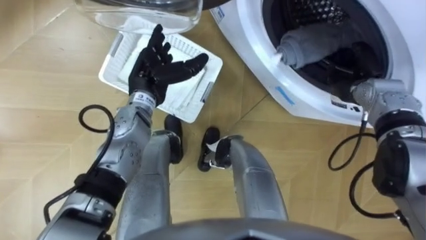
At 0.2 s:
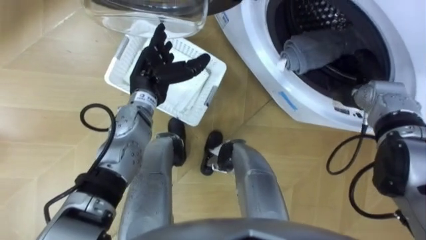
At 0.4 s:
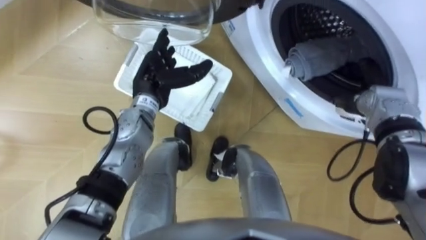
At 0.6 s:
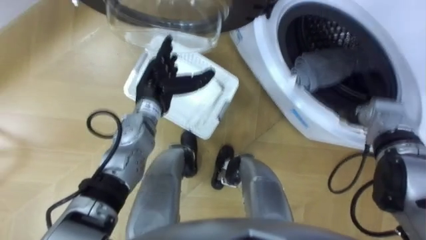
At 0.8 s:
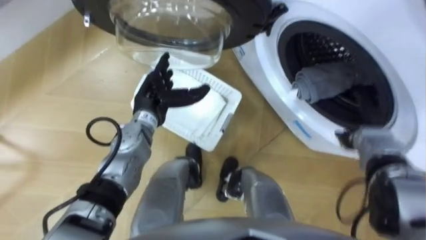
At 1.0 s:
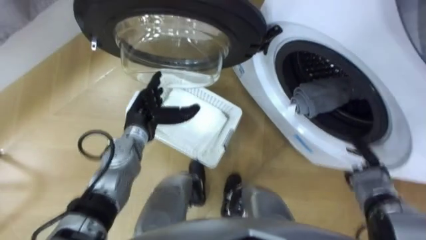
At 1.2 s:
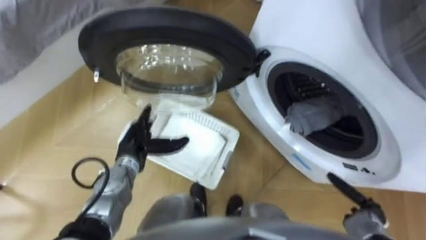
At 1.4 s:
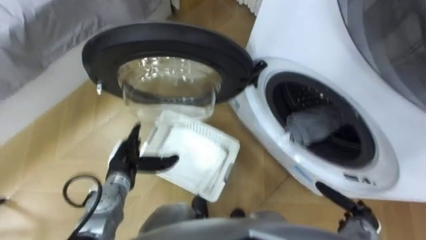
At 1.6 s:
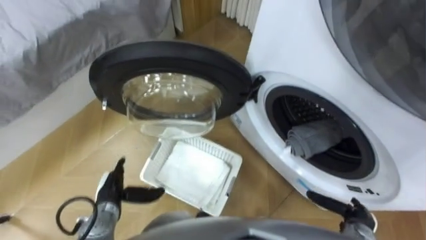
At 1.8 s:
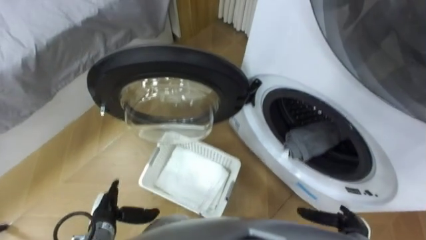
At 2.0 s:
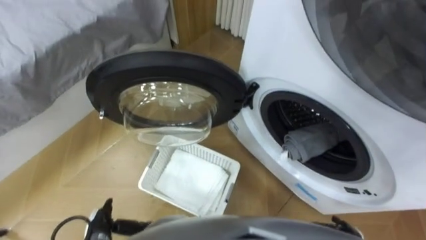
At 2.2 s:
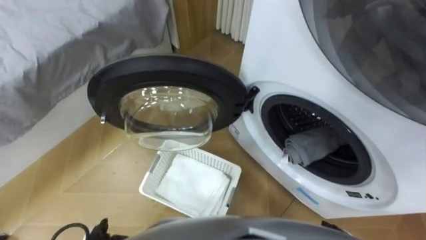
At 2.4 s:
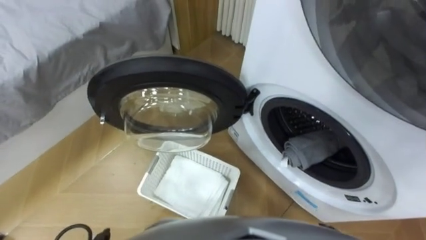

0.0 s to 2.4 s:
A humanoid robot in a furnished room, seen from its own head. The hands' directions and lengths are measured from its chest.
Task of the whole recording: Take the towel from the basket and put it into the washing machine.
0.0 to 1.2 s: The right hand travels backward and downward by roughly 30 cm. The left hand moves downward and backward, approximately 15 cm.

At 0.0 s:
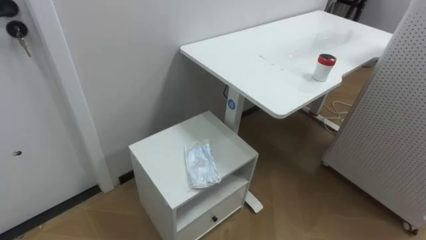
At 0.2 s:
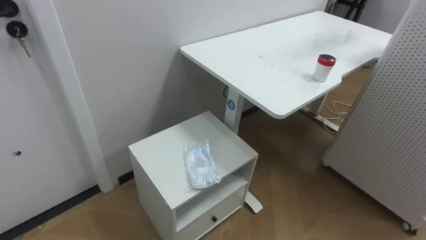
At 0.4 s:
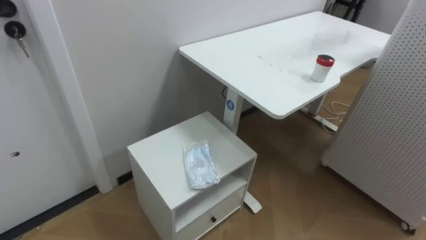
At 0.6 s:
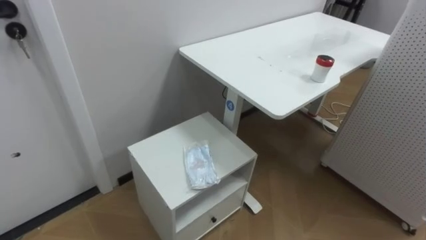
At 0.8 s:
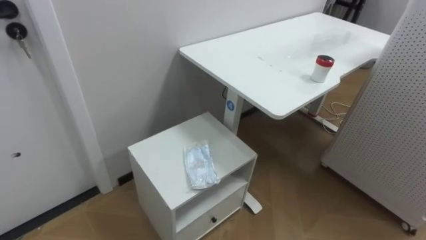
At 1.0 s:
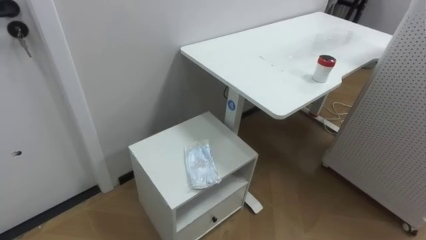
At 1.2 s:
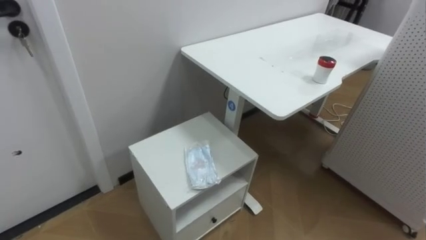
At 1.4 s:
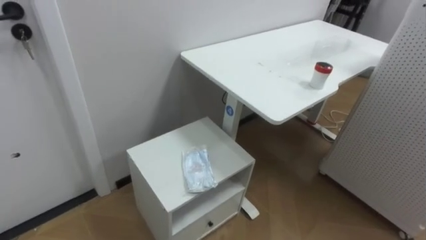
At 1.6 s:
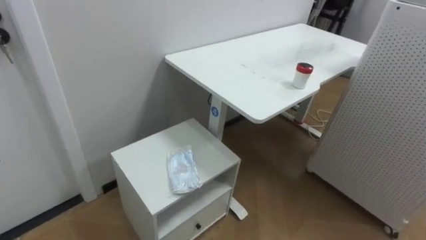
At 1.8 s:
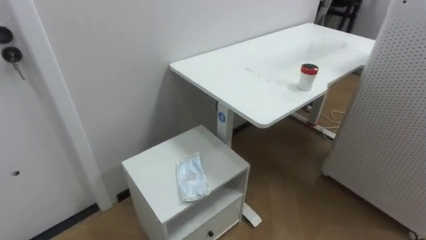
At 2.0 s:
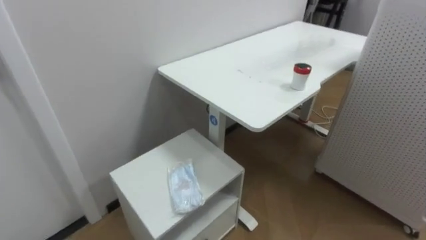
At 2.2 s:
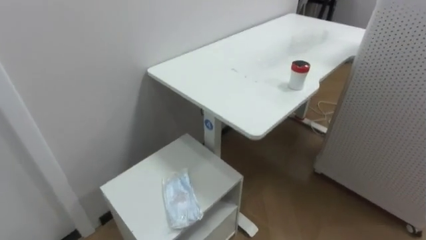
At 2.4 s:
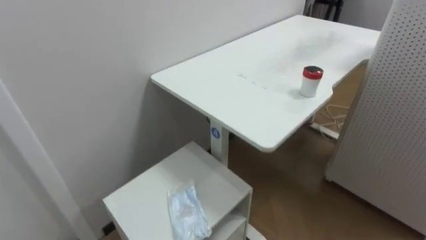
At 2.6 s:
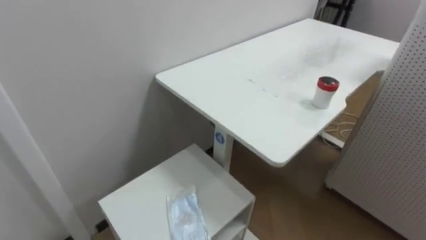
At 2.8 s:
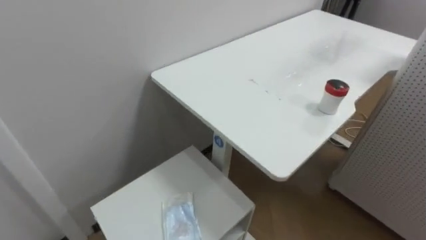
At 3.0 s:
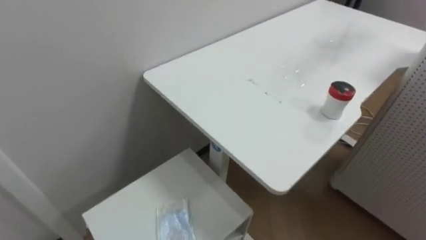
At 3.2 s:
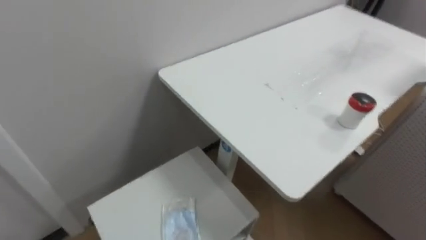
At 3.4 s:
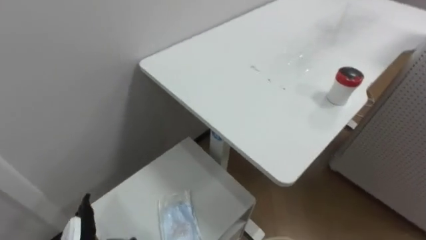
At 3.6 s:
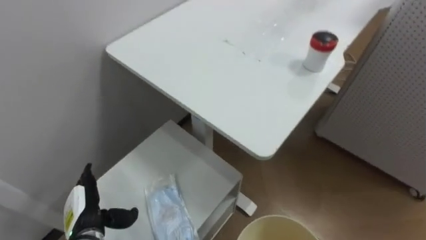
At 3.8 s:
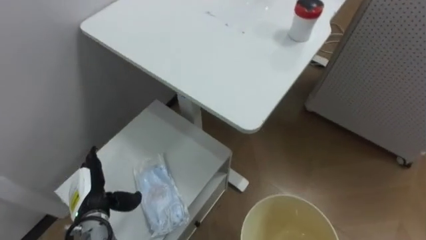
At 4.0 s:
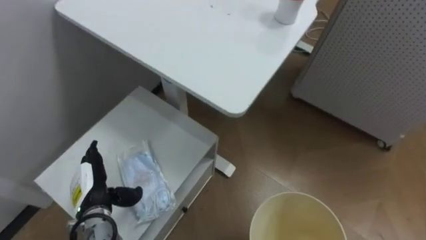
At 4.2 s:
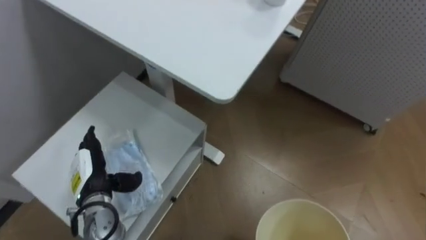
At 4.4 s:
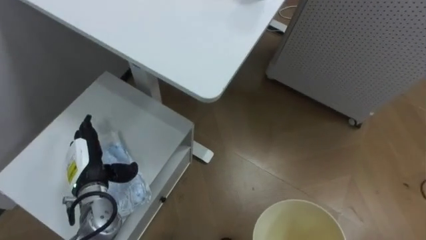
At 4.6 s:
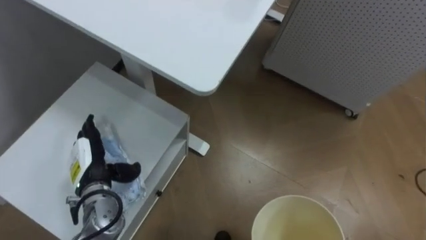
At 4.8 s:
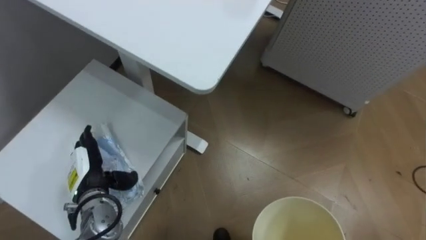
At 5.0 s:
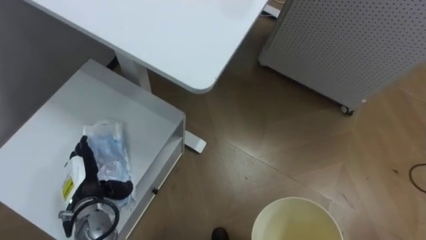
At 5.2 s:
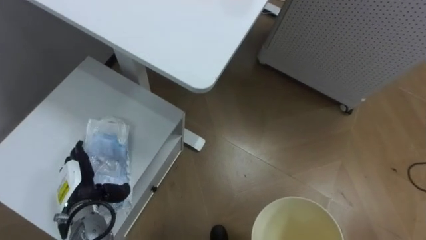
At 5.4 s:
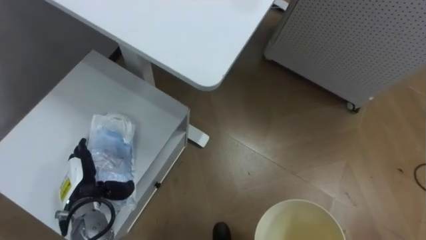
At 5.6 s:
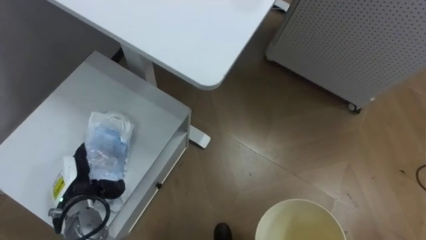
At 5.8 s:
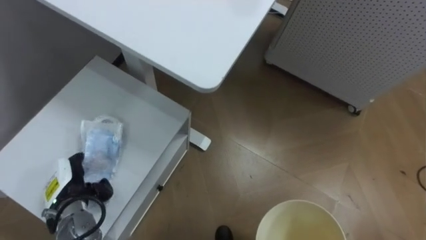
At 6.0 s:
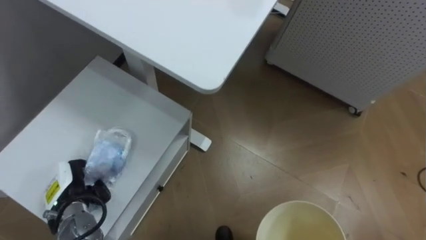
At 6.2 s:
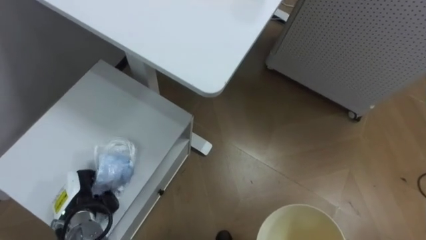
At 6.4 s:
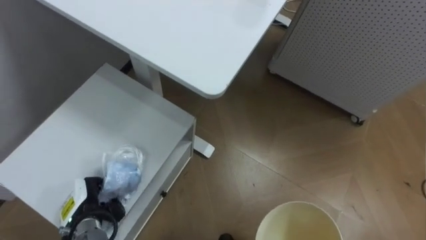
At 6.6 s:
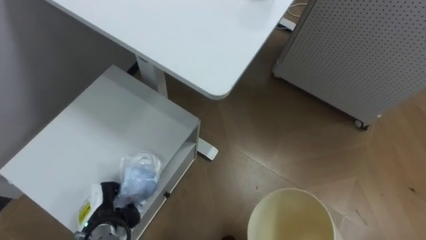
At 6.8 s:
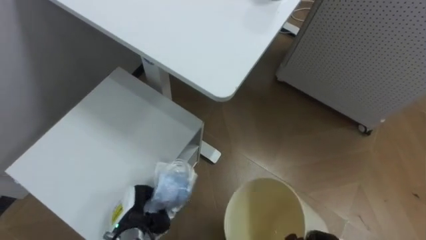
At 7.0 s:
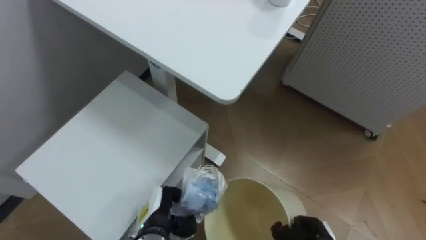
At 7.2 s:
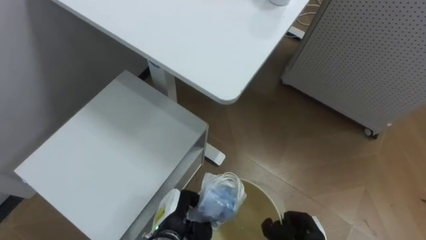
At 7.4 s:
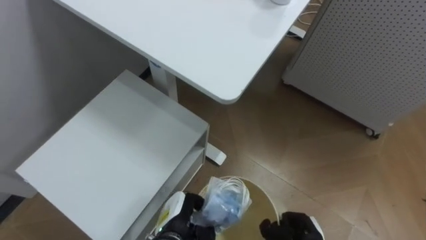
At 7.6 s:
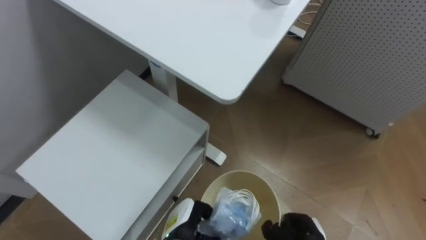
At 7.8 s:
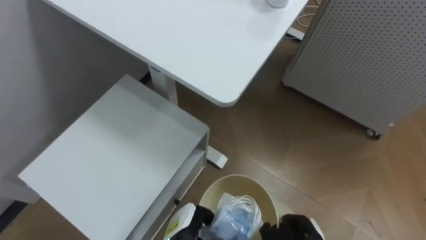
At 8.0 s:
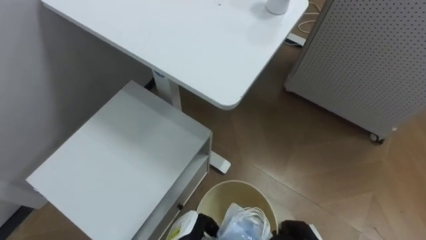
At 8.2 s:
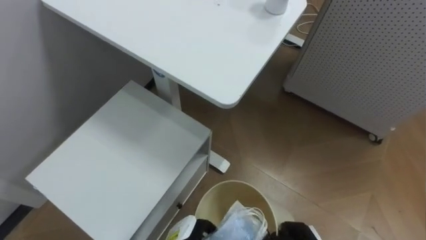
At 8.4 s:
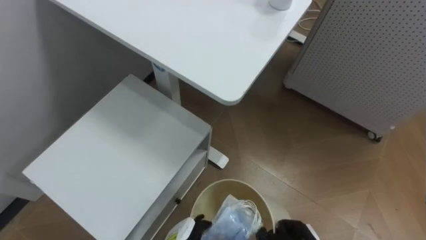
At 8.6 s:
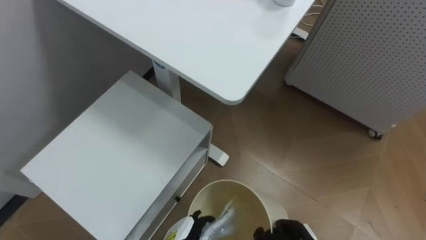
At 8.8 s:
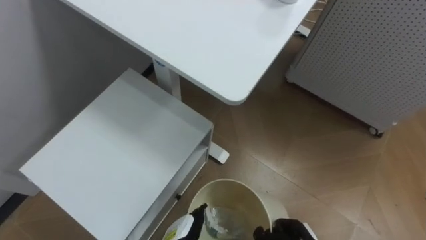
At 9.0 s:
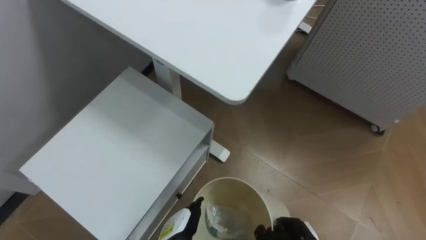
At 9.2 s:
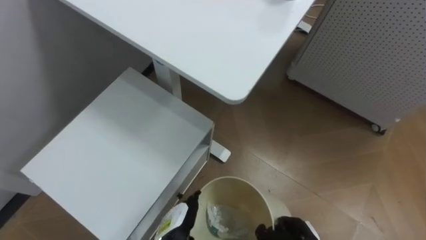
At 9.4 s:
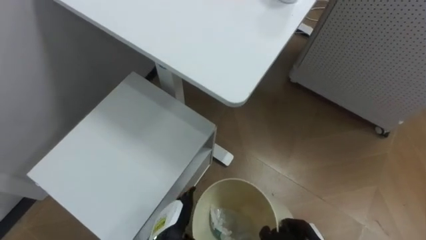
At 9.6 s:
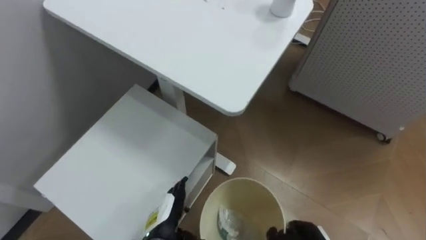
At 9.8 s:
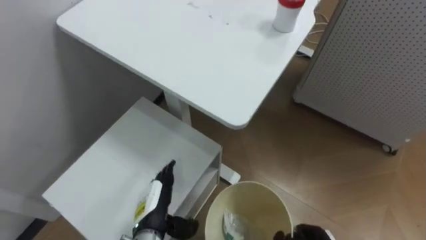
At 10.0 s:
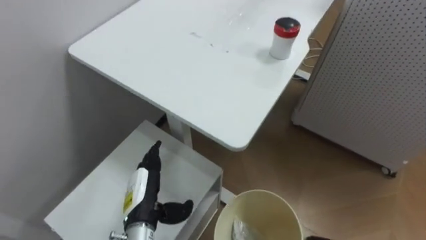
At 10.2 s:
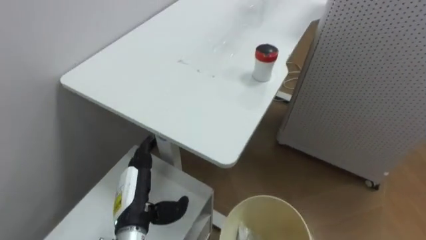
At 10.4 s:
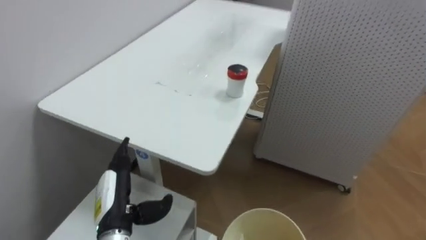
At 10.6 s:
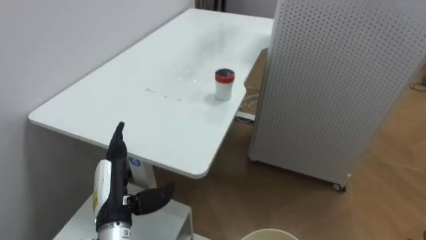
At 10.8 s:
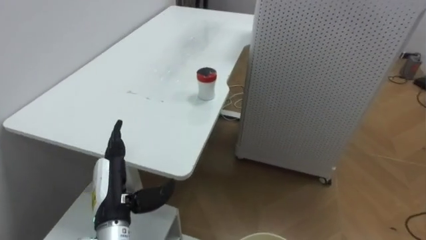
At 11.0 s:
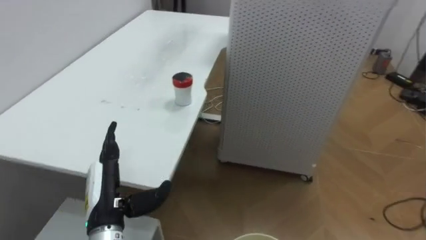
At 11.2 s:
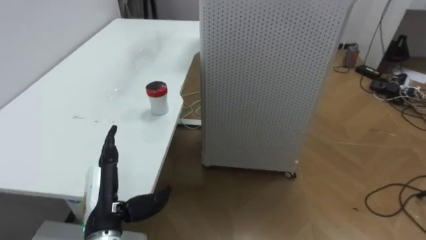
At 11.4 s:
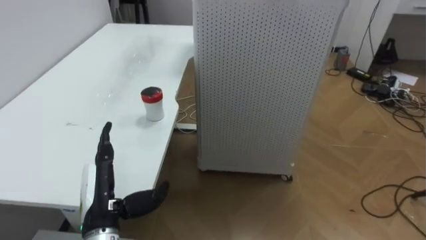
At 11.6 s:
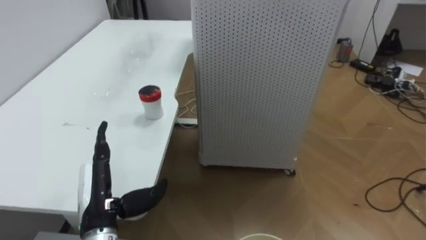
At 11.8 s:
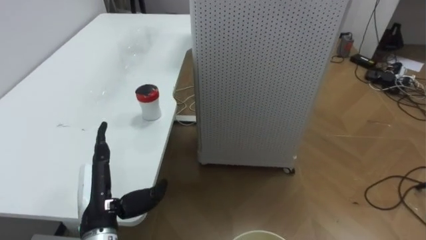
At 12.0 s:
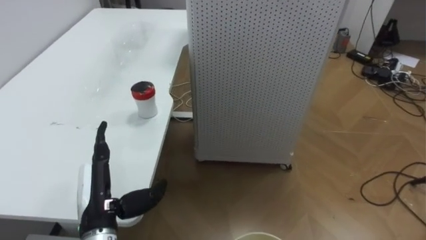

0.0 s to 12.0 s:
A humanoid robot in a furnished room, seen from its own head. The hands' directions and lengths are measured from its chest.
Task of the whole recording: Pick up the light blue package, the candy box, and the dark blue package separately, and put them into the trash can held in your right hand.
4.4 to 6.0 s: The left hand shifts by approximately 5 cm, and closes up.
6.0 to 7.6 s: The left hand goes approximately 25 cm to the right.
9.0 to 10.4 s: The left hand goes about 15 cm to the left and upward.
10.4 to 12.0 s: The robot faces roughly 25 degrees further to its right.

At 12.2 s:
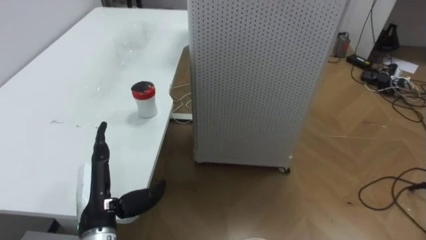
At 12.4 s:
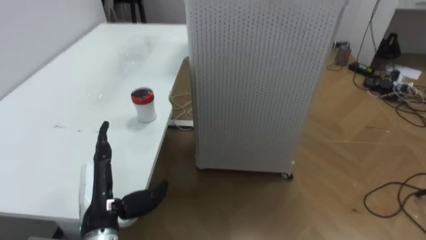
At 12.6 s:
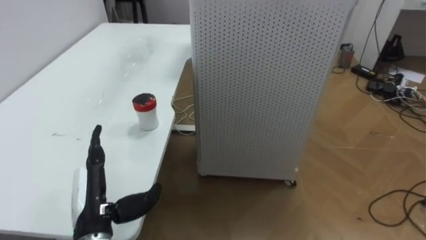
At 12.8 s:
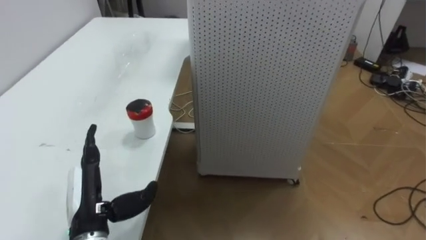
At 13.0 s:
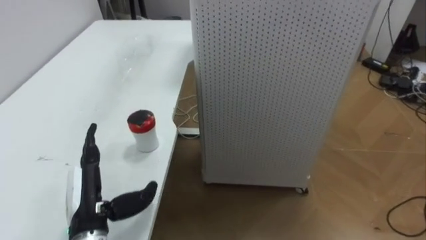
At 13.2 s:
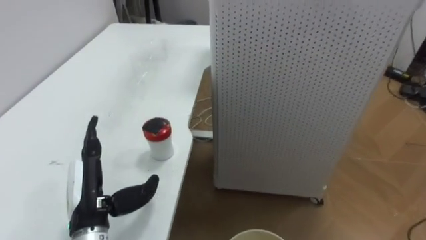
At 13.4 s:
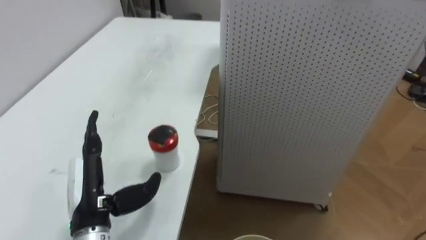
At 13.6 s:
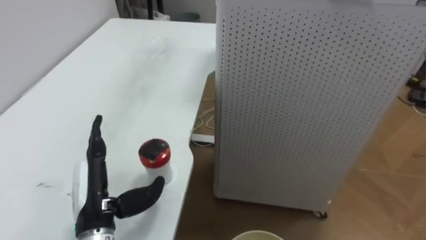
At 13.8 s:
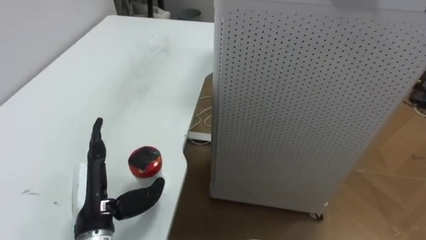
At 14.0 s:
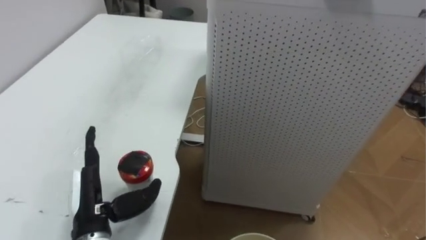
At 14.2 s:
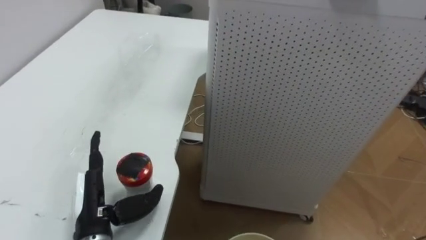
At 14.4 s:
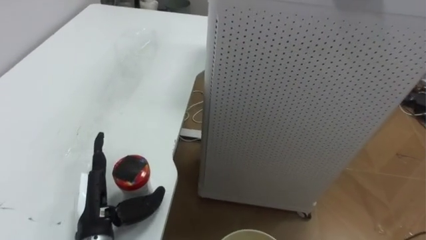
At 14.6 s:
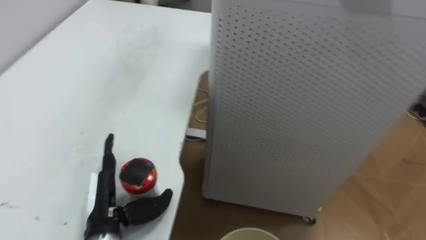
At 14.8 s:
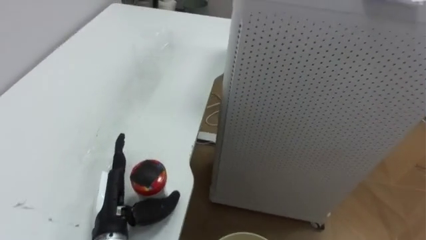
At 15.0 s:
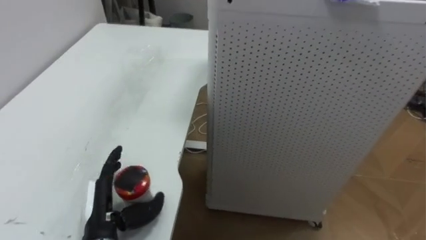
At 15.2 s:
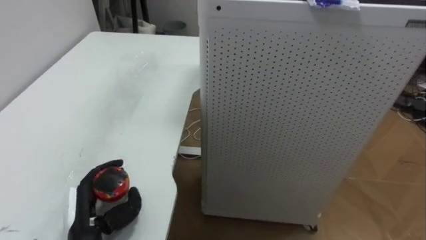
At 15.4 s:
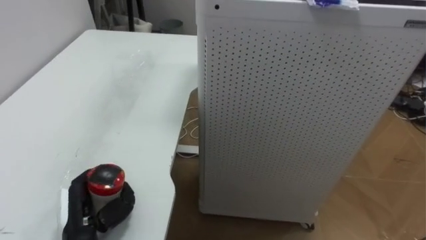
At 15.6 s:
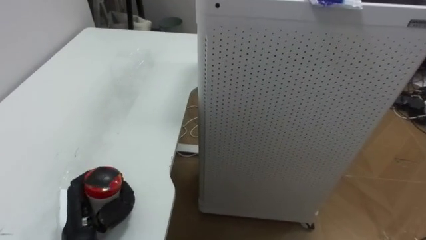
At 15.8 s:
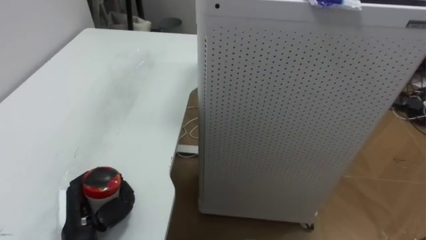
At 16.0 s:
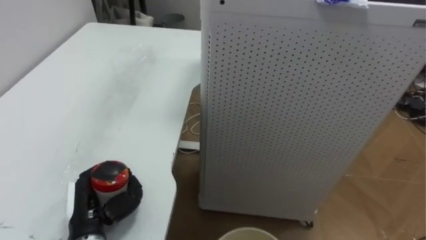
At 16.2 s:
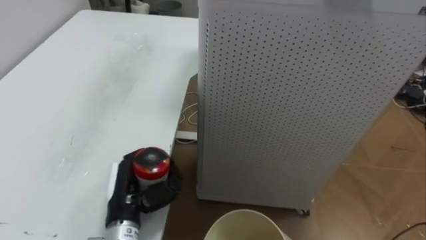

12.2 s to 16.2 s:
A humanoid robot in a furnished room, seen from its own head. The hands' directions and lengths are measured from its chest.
Task of the whole recording: Pick up the light blue package, the candy box, and the dark blue package separately, and put them into the trash can held in your right hand.
14.8 to 16.2 s: The left hand moves roughly 5 cm to the left and comes back, and closes its fingers.
